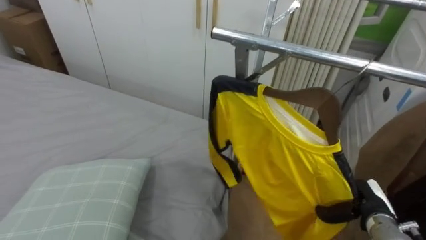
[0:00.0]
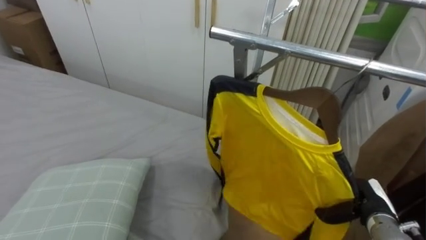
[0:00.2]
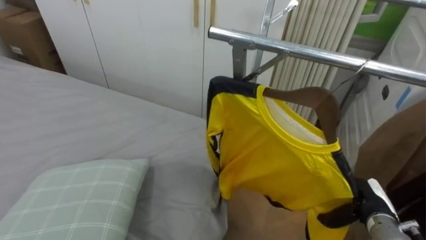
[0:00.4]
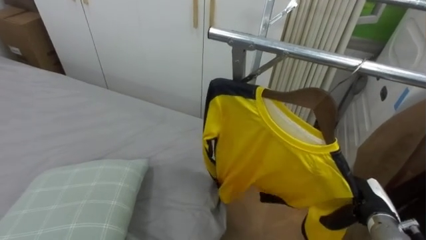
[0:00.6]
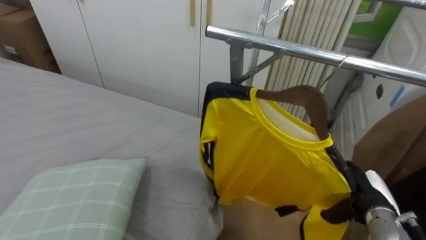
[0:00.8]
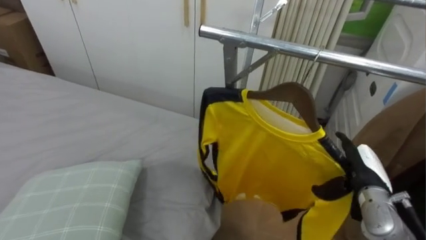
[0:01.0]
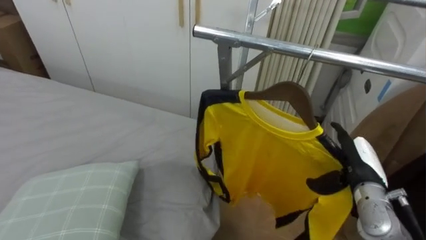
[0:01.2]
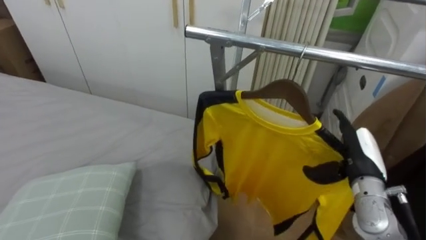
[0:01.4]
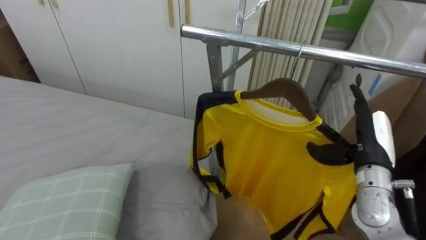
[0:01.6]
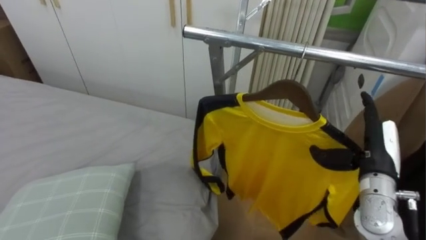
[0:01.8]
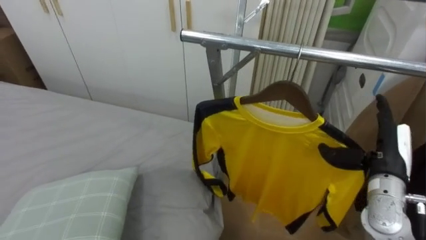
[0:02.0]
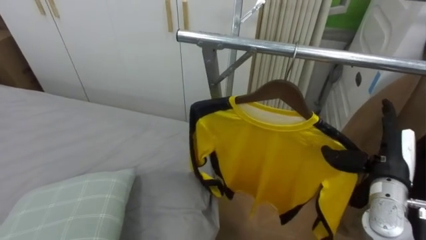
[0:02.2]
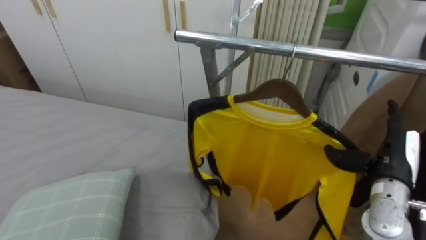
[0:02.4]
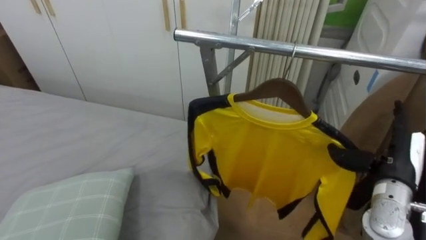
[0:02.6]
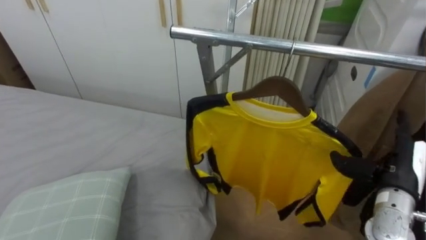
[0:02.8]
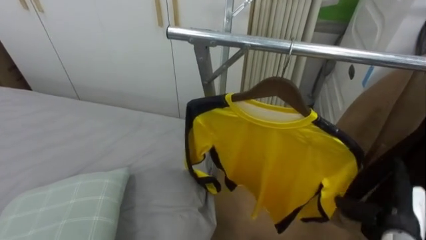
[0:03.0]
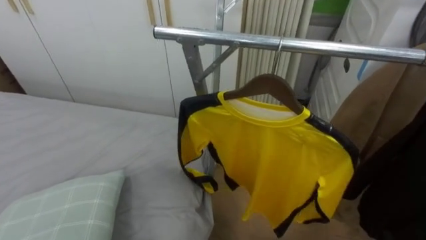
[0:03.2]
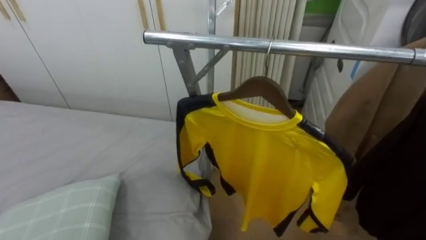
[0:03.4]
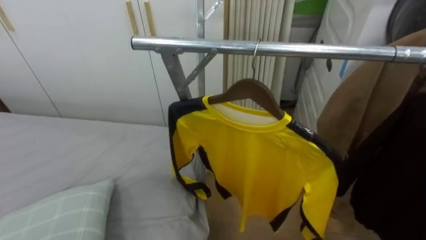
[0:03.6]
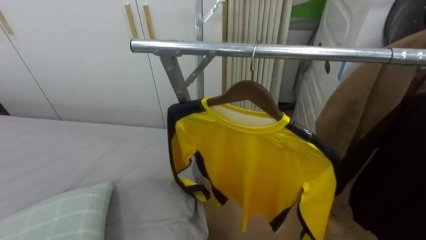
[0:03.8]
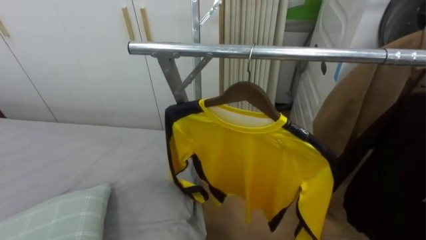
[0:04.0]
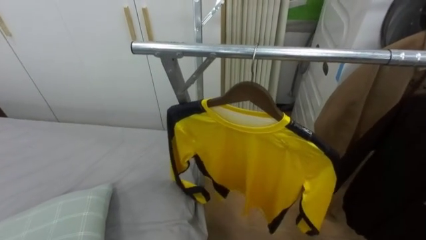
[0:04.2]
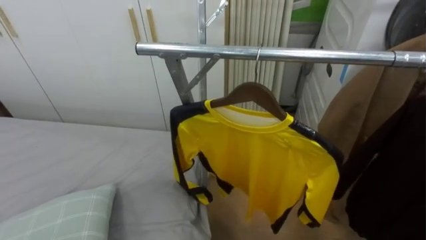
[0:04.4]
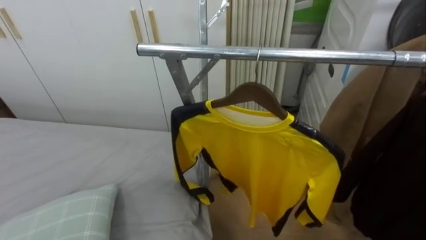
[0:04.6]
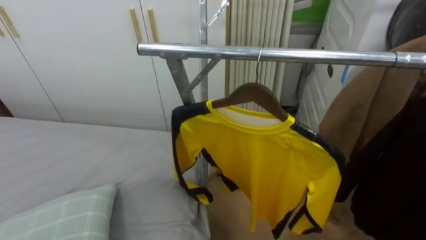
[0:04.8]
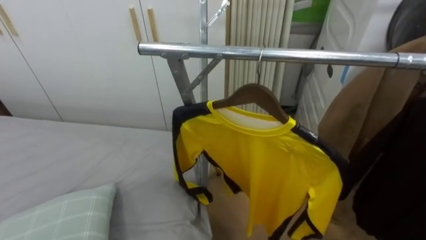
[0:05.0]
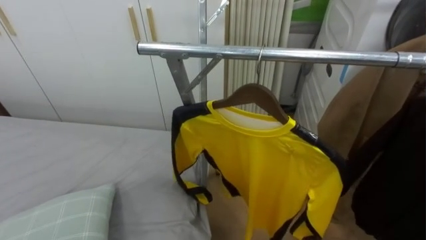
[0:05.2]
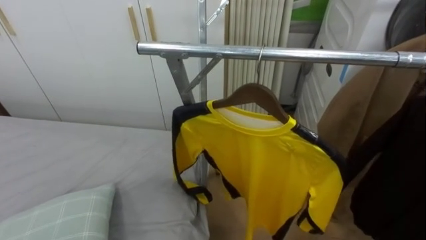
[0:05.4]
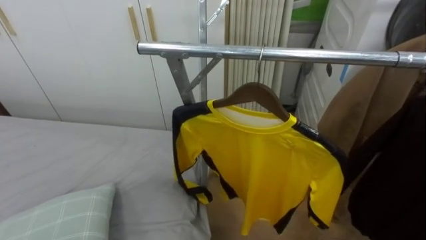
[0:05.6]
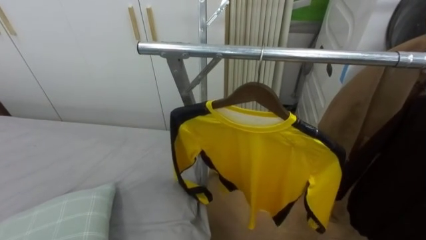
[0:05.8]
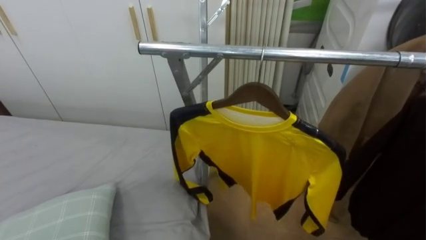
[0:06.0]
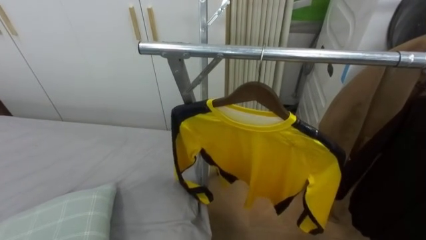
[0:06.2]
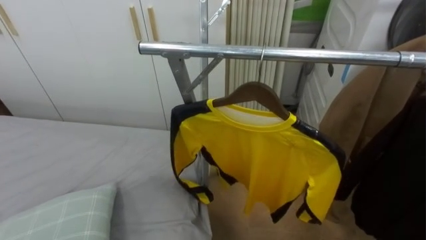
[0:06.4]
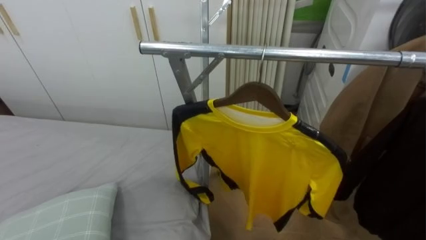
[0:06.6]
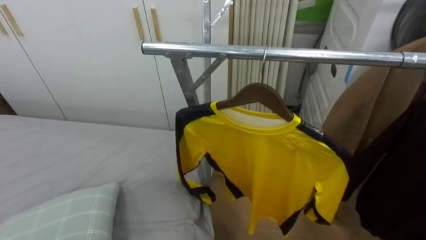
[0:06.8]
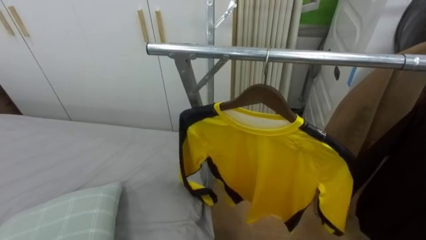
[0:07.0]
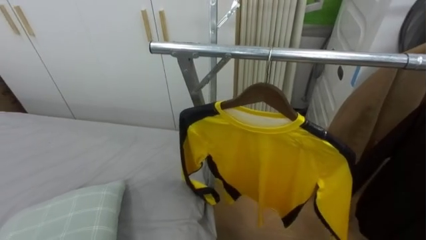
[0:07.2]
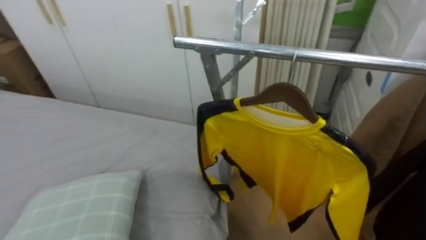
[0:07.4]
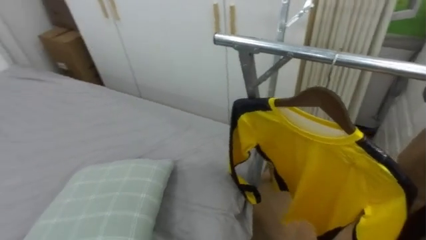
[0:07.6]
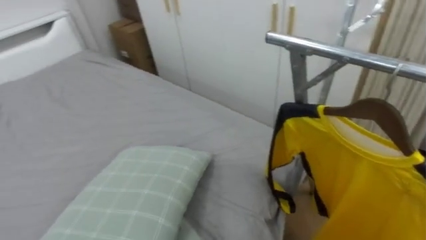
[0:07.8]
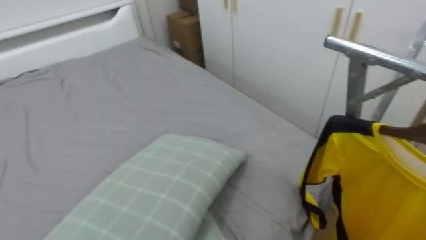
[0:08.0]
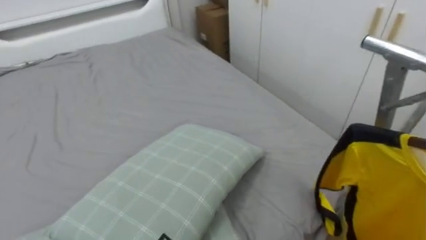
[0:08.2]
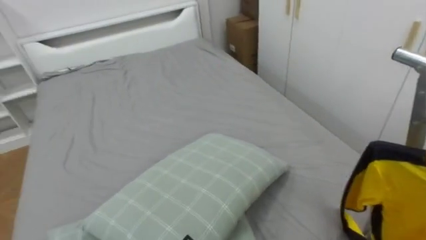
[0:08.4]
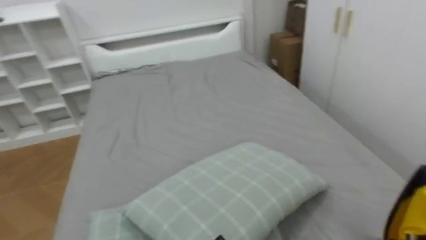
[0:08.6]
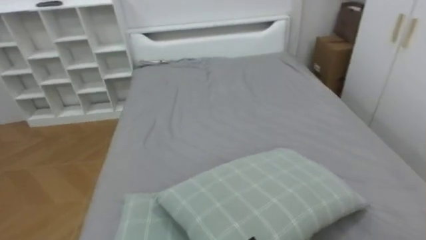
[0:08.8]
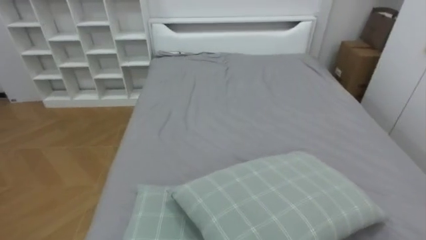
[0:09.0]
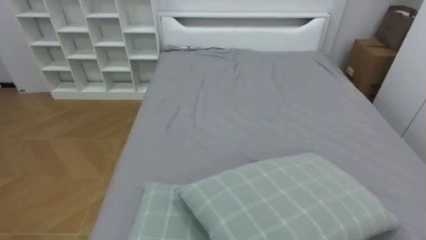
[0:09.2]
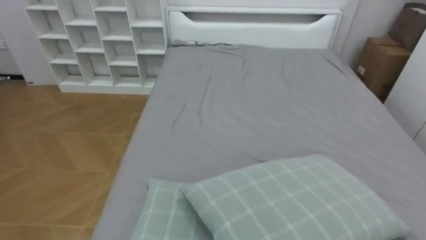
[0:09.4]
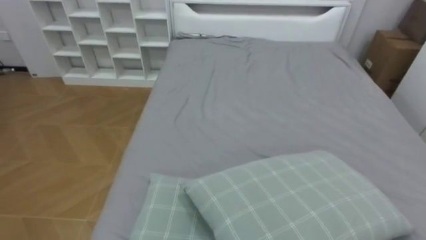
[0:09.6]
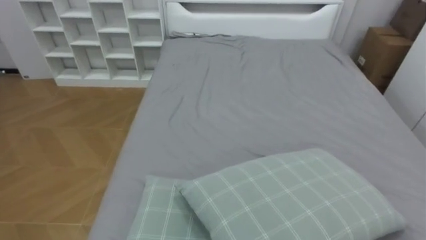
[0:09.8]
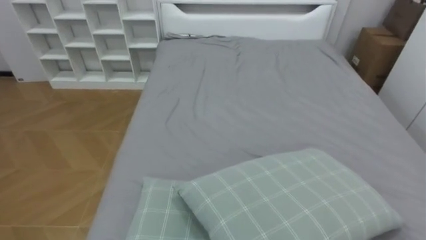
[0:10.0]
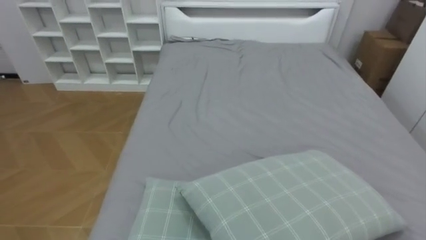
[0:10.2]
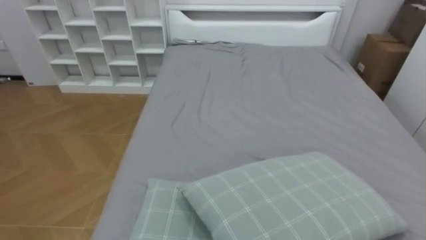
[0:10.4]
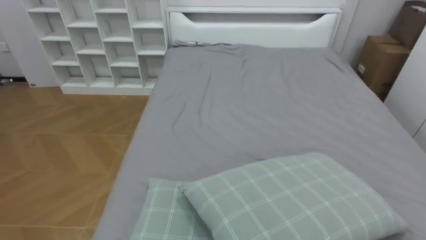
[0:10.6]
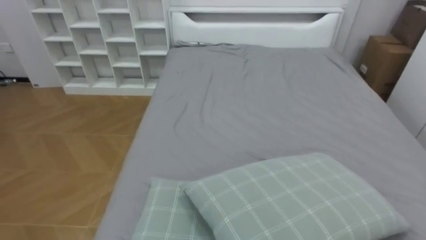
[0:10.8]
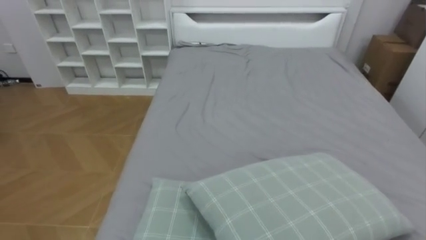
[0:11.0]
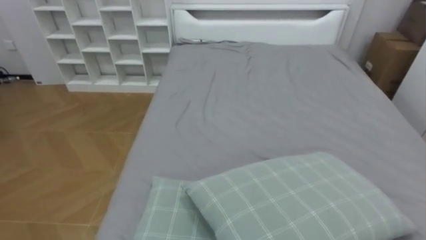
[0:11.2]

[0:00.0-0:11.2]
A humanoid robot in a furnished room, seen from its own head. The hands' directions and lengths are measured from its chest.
Task of the whole recording: Pick up the yellow shirt on the bed and hang it on the clothes rack on the right.
0:00.0 to 0:01.6: The right hand heads upward, covering approximately 15 cm, and opens up.
0:06.4 to 0:08.0: The robot faces some 40 degrees further to its left.
0:08.0 to 0:09.6: The robot faces about 40 degrees further to its left.

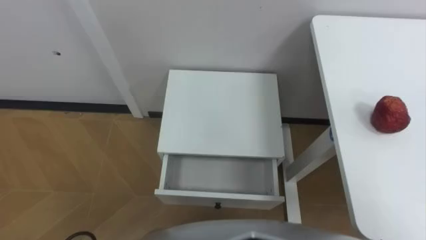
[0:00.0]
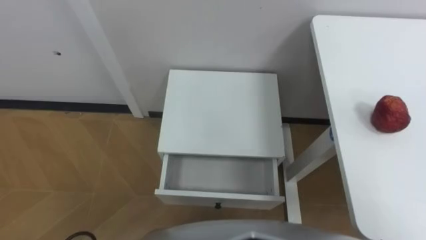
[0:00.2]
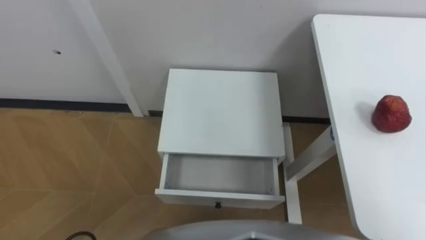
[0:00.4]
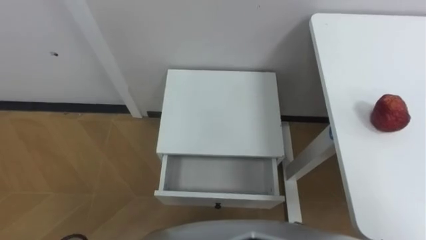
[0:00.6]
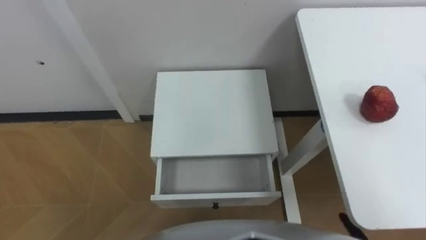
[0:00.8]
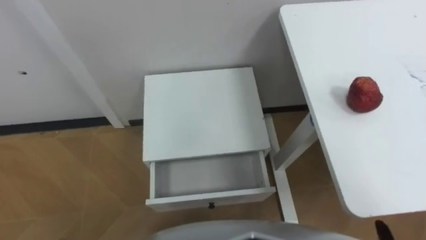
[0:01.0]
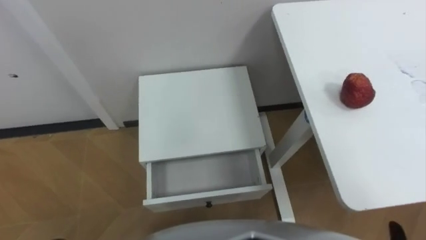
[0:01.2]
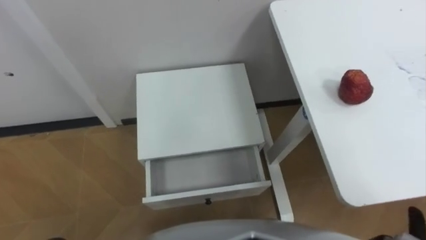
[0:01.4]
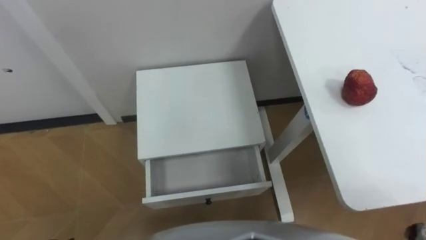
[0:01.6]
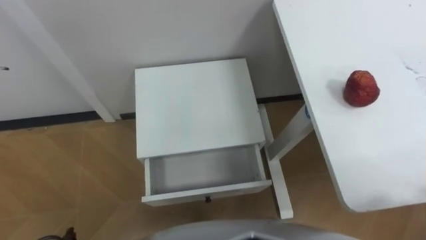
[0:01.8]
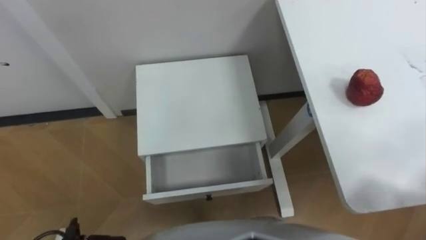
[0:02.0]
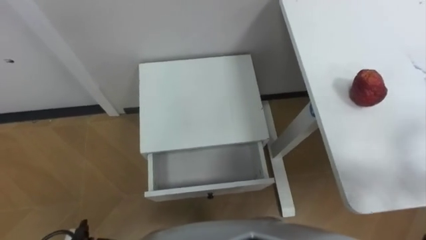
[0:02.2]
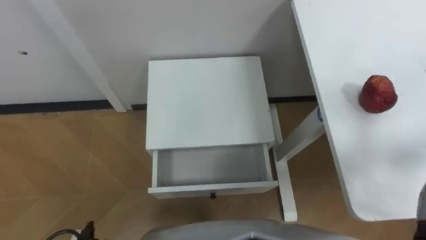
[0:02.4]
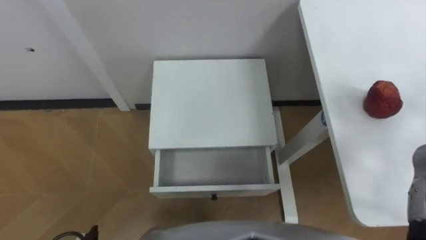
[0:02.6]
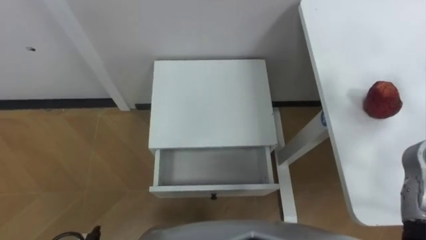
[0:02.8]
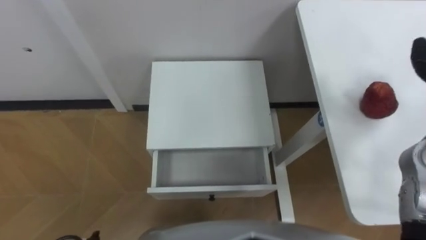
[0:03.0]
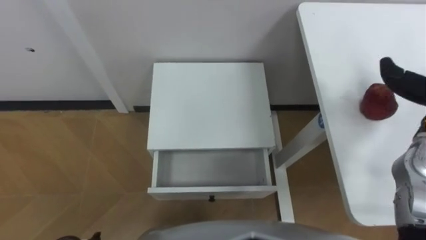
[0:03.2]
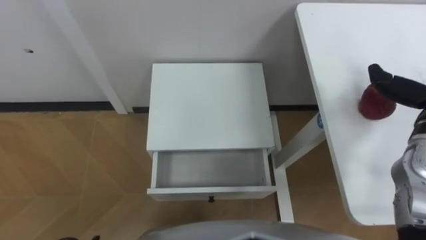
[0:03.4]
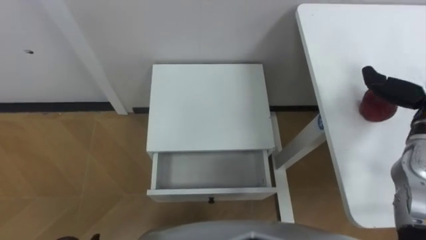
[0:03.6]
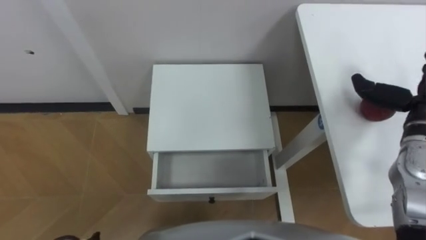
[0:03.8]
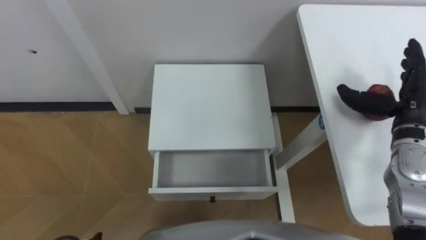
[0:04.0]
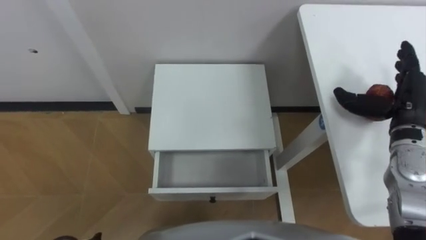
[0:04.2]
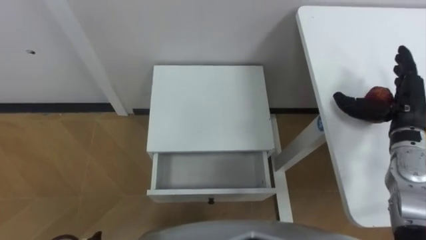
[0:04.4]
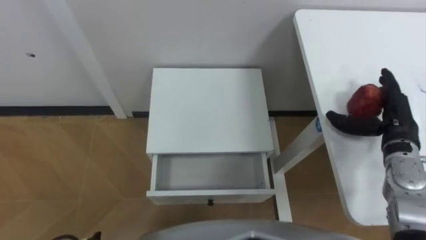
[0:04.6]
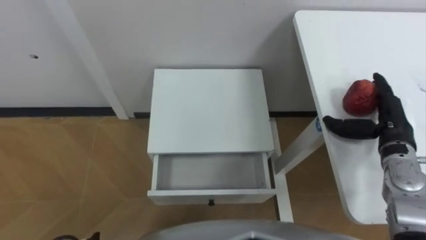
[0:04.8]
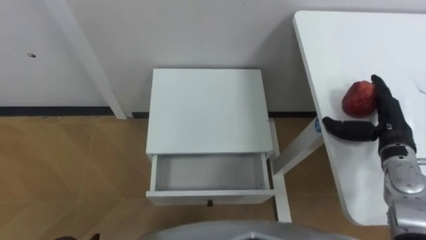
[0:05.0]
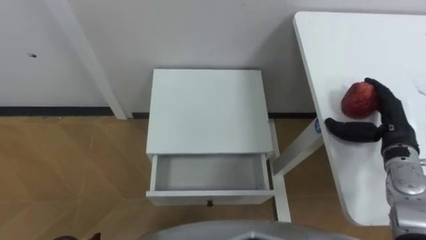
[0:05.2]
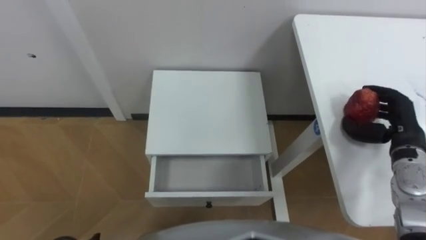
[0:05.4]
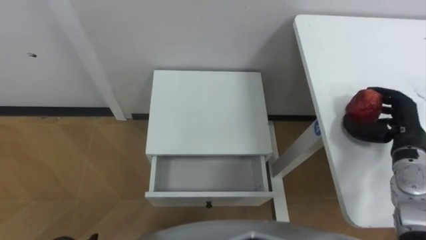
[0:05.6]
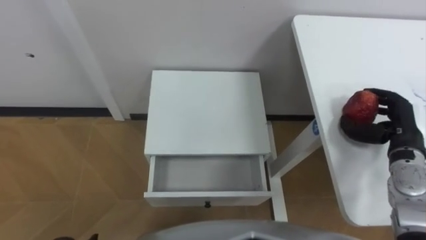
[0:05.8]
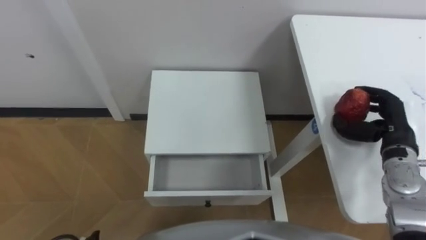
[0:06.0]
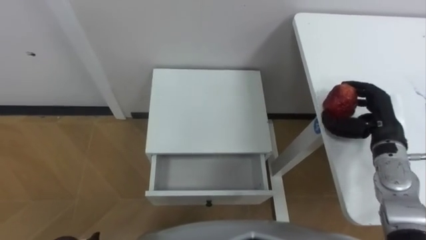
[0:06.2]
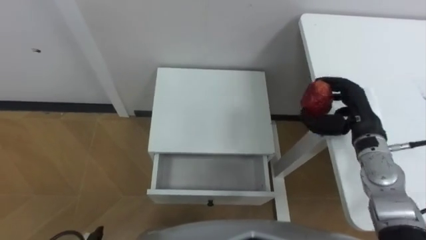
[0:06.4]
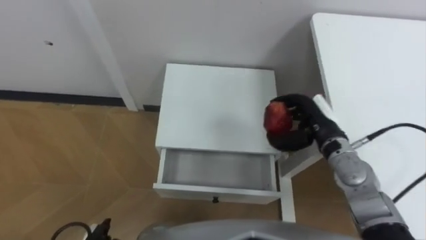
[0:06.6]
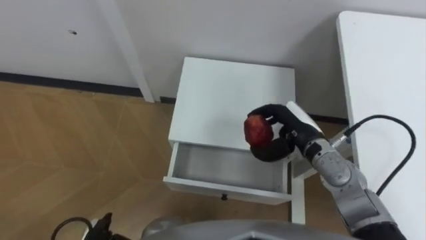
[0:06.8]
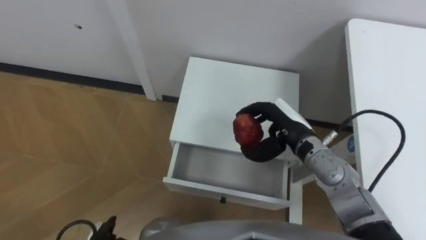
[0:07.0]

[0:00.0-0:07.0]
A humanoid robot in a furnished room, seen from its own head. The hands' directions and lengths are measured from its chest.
Task of the whole recording: Pick up the apple from the table, put it in the drawer, and close the drawer with leg.
0:04.2 to 0:05.6: The right hand travels downward by about 5 cm, and closes up.
0:05.6 to 0:07.0: The right hand moves to the left, roughly 20 cm.
